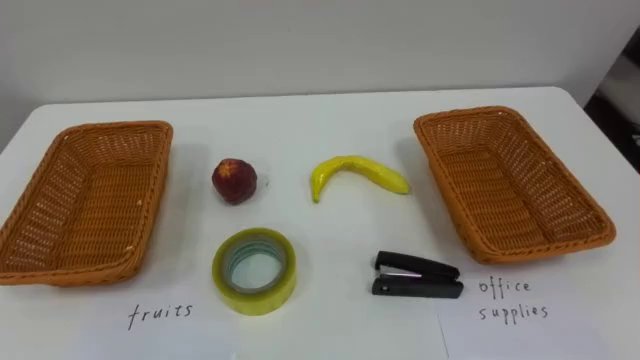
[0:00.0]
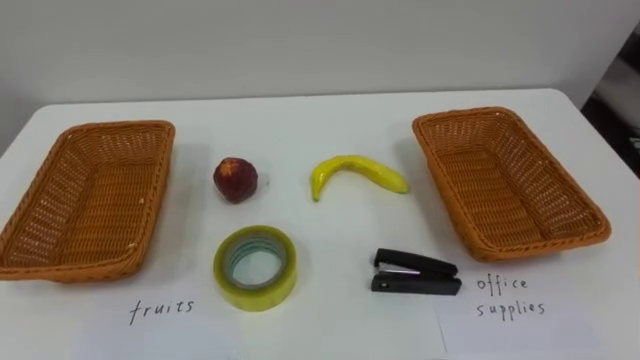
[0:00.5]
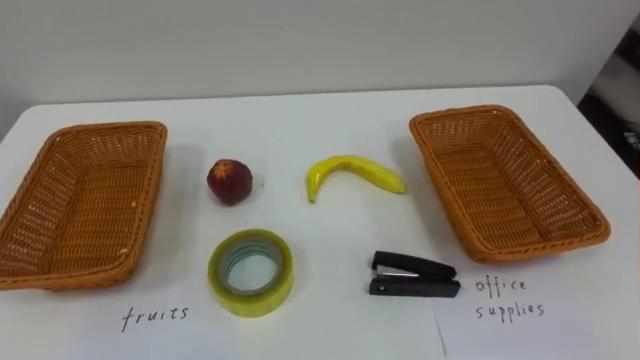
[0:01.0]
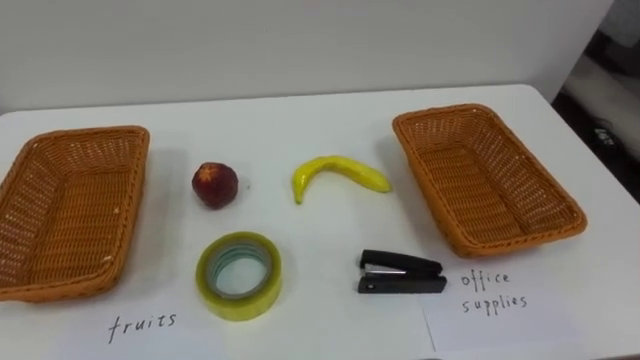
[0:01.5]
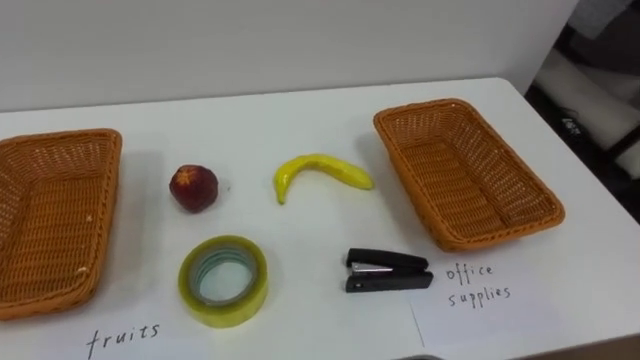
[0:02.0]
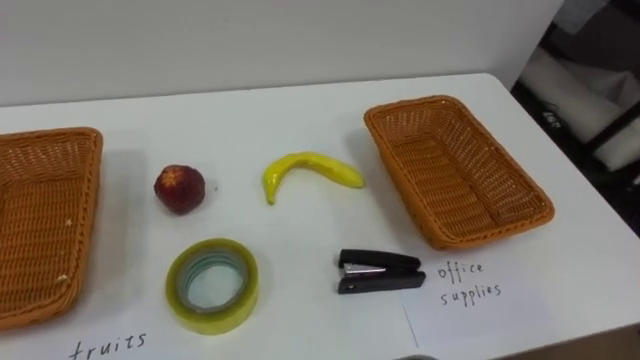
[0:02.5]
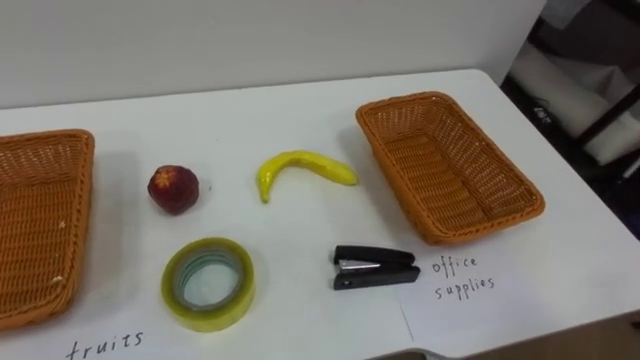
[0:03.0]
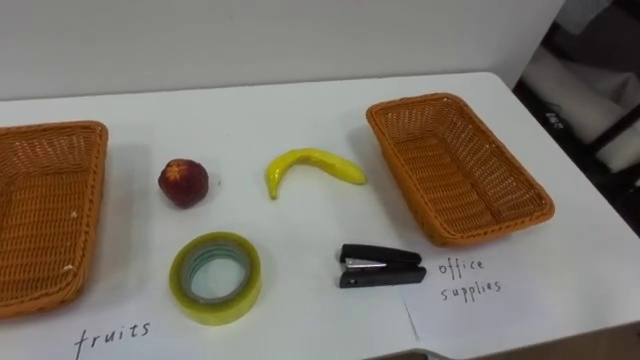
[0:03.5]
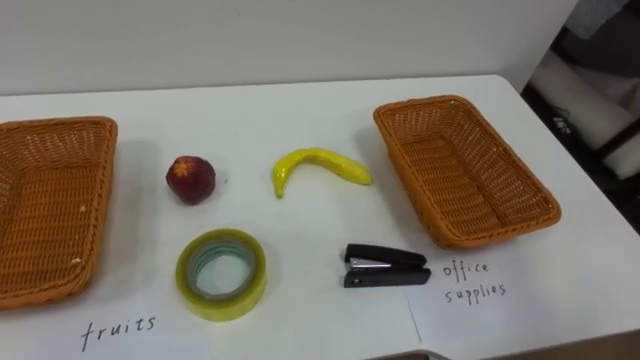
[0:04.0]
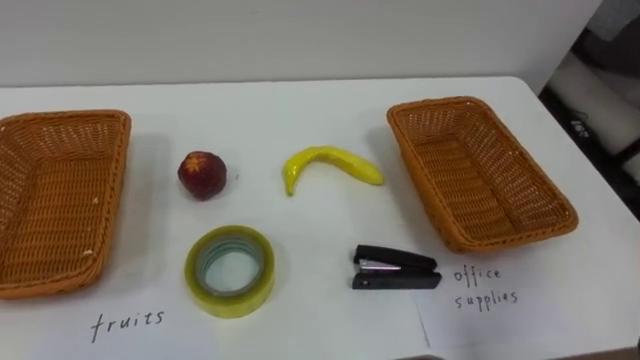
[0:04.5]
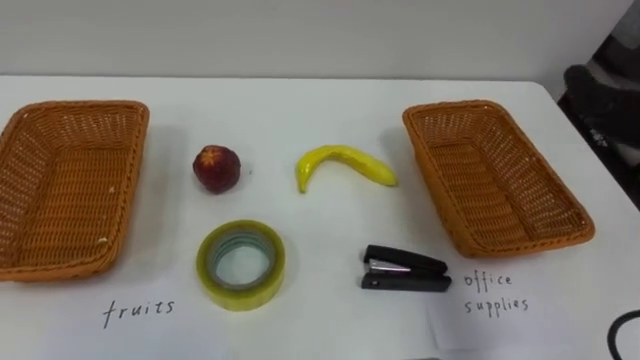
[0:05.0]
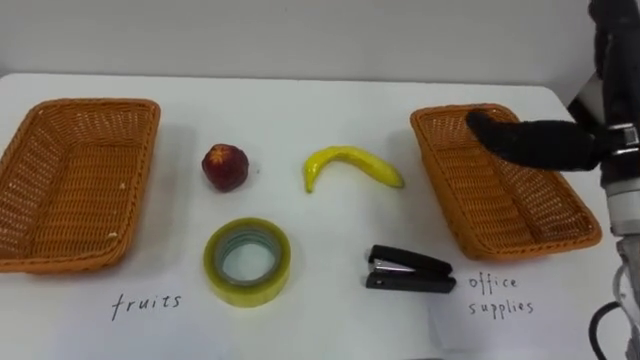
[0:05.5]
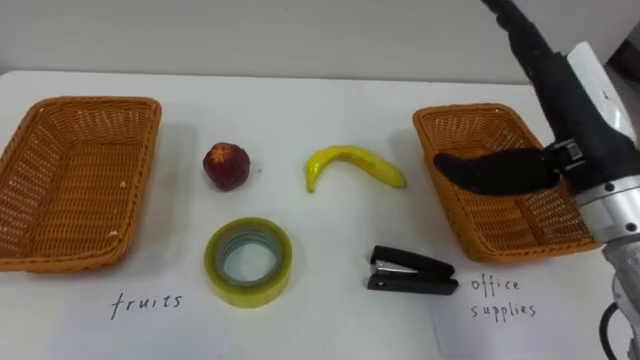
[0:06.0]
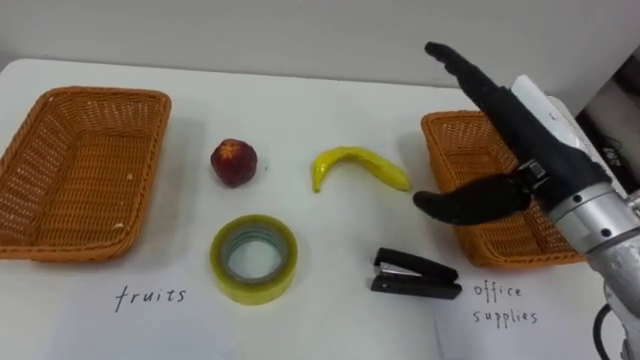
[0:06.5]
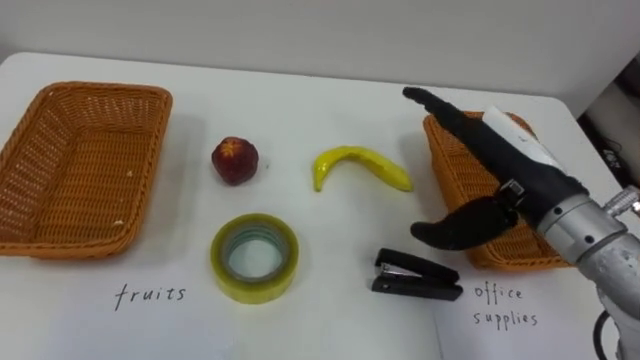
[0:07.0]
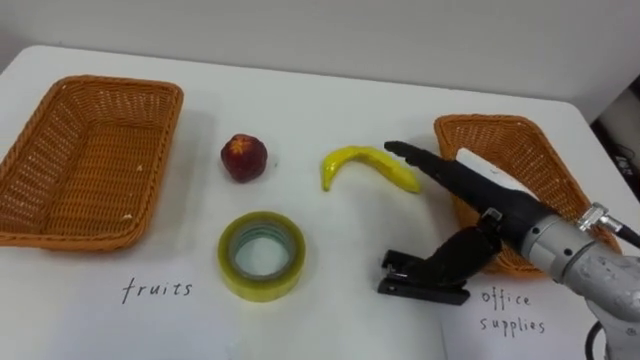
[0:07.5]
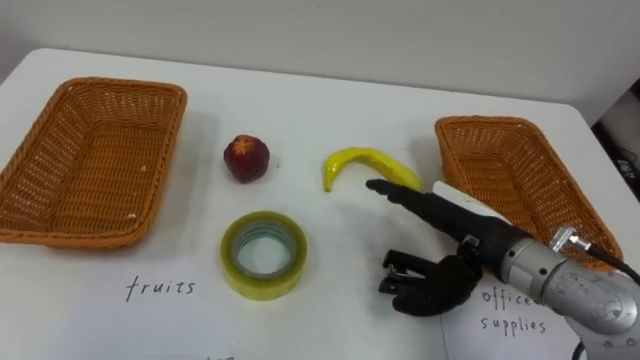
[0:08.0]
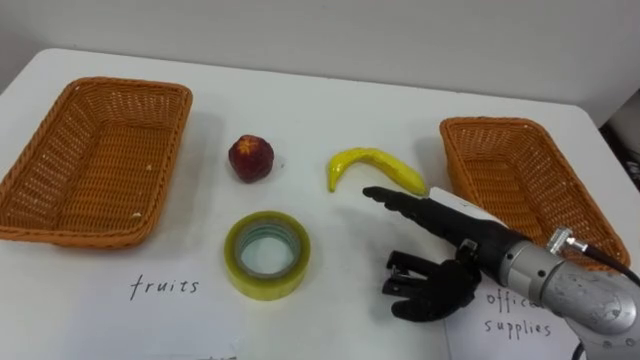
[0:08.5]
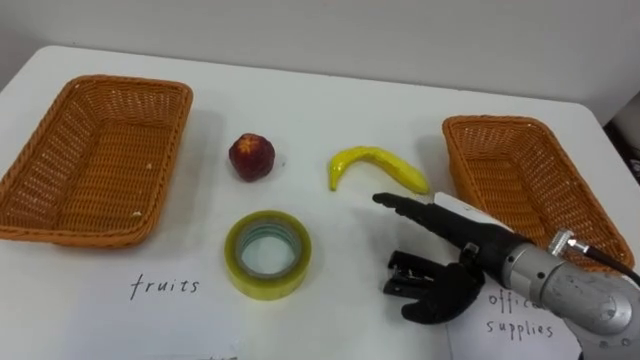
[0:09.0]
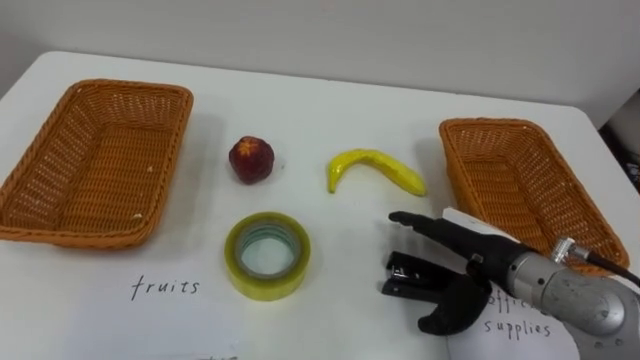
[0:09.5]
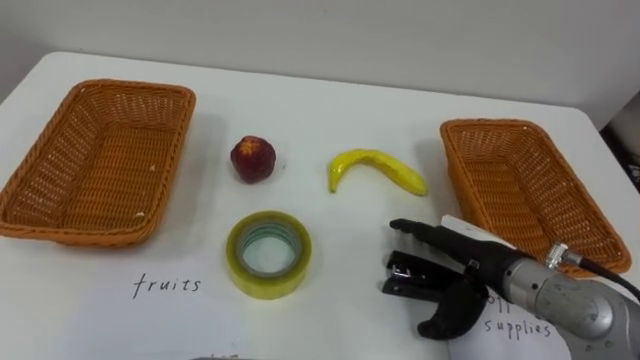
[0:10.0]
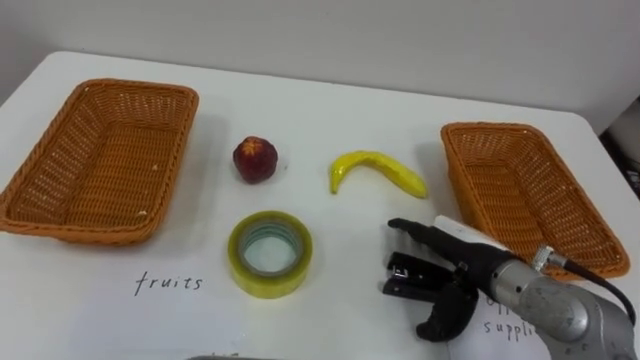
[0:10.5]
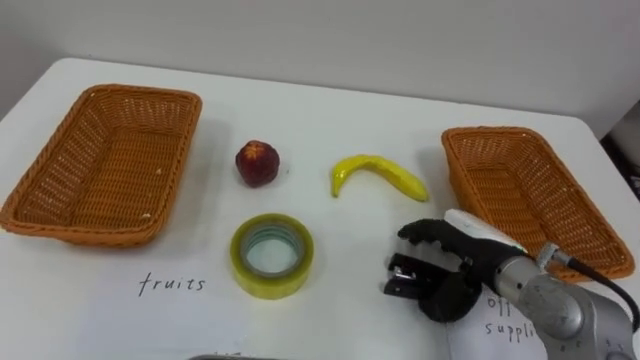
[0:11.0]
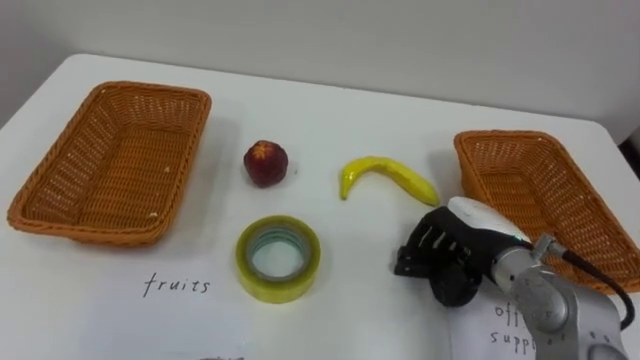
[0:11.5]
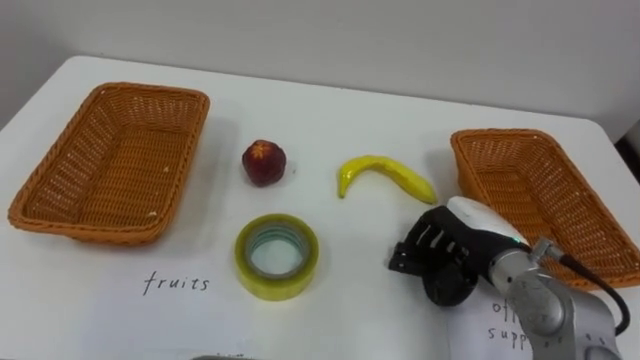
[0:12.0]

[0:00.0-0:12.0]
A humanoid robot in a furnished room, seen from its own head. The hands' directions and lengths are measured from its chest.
Task of the whole recording: Separate the items on the table and place them into the two baskets.
0:06.0 to 0:08.0: The right hand shifts about 15 cm downward and to the left.
0:08.0 to 0:10.0: The right hand travels downward by roughly 5 cm.
0:10.0 to 0:12.0: The right hand closes up.

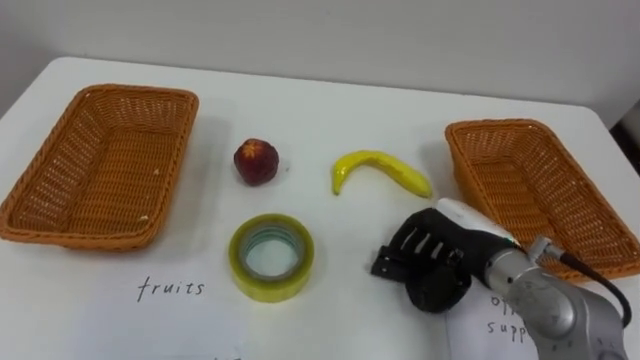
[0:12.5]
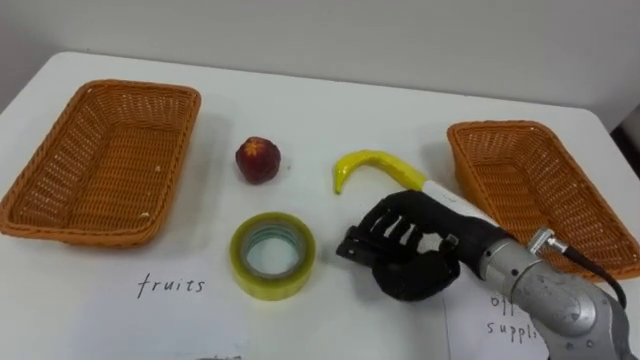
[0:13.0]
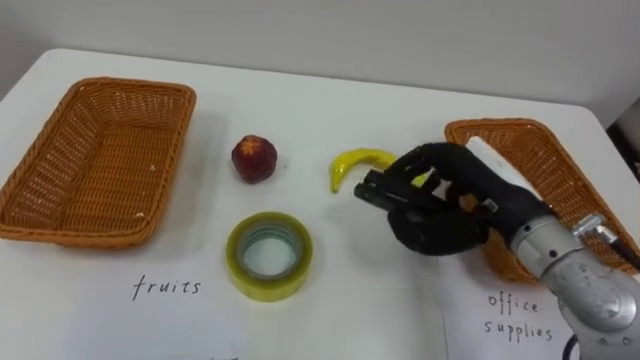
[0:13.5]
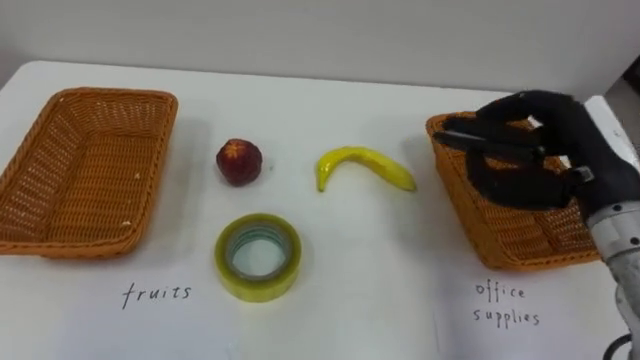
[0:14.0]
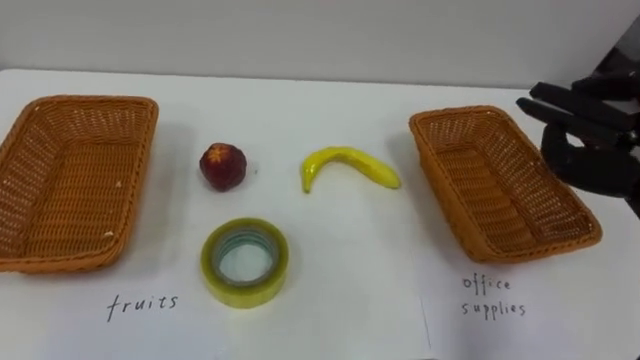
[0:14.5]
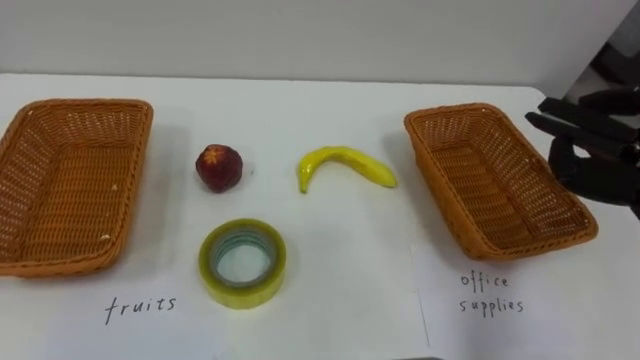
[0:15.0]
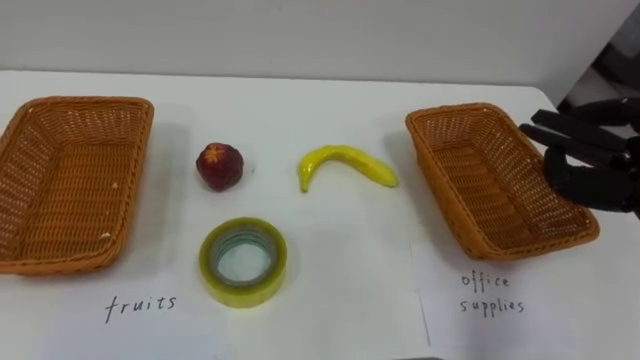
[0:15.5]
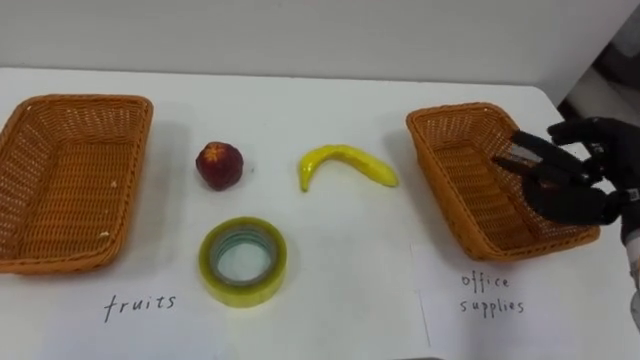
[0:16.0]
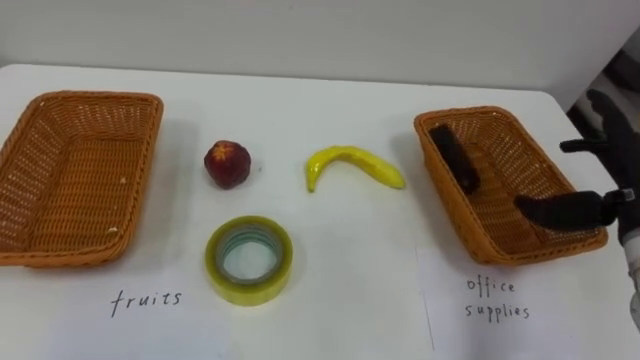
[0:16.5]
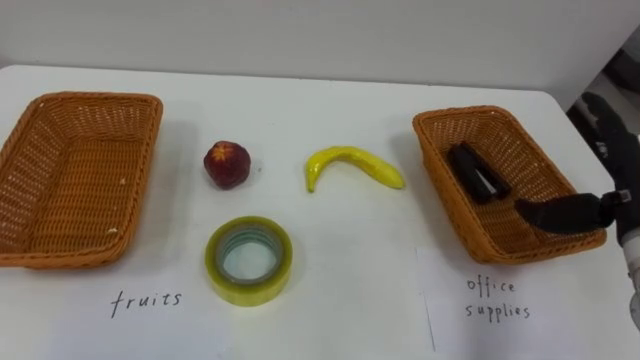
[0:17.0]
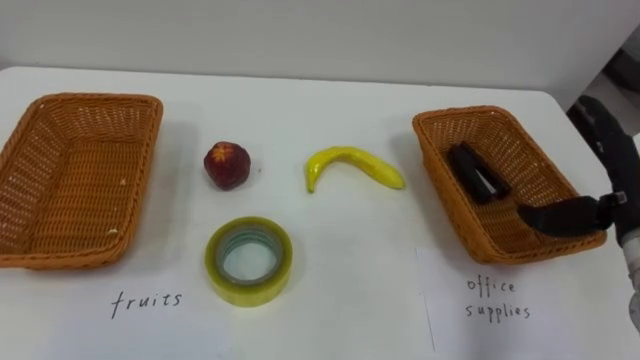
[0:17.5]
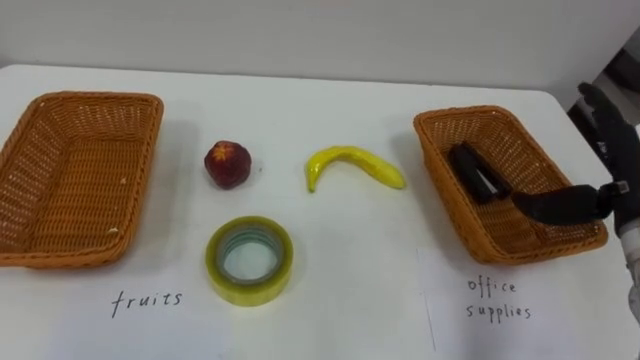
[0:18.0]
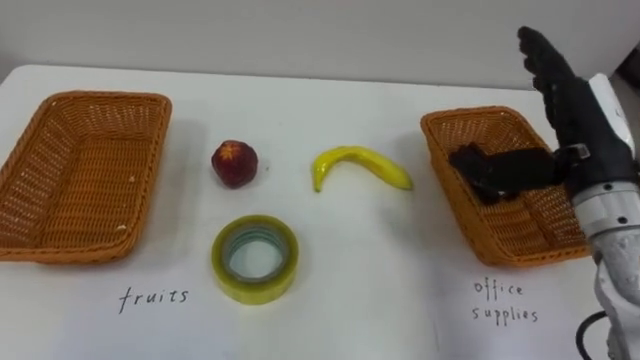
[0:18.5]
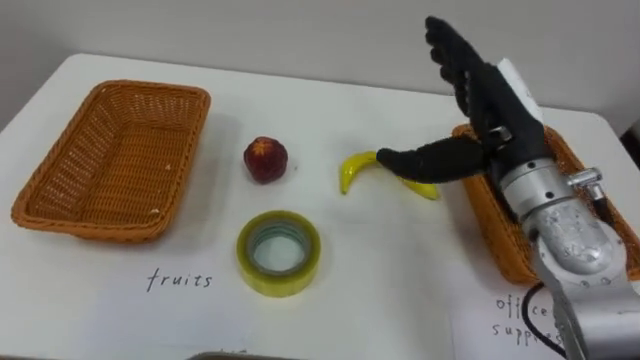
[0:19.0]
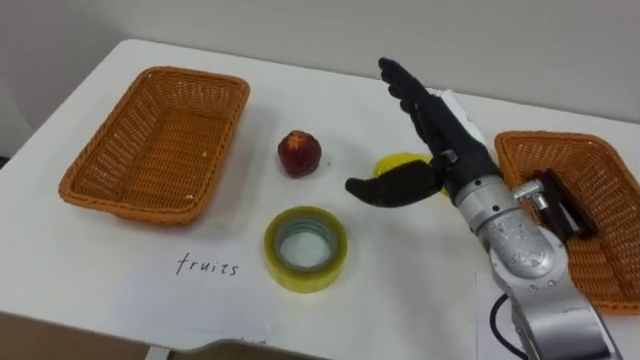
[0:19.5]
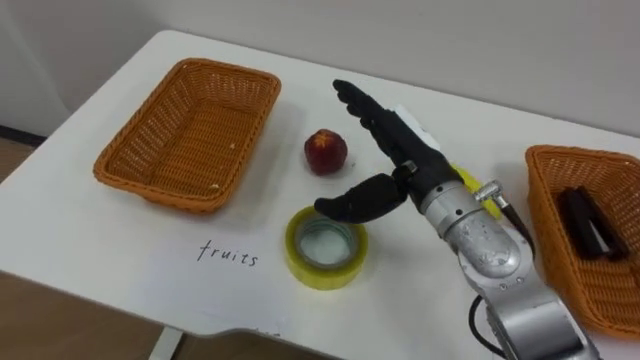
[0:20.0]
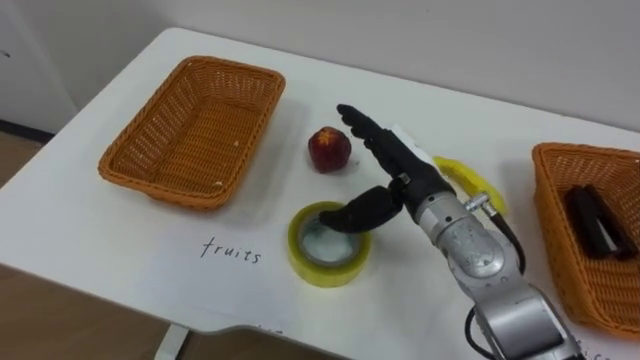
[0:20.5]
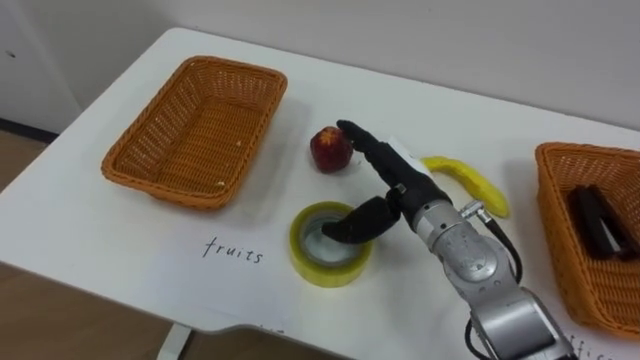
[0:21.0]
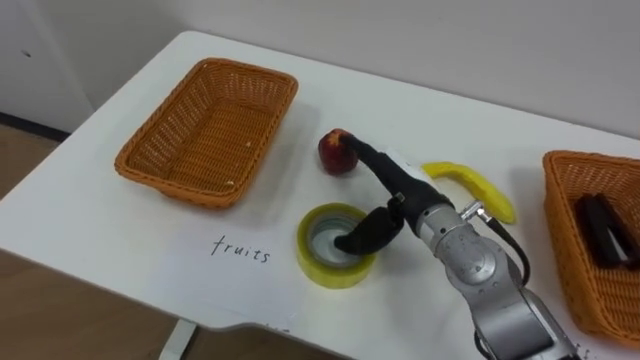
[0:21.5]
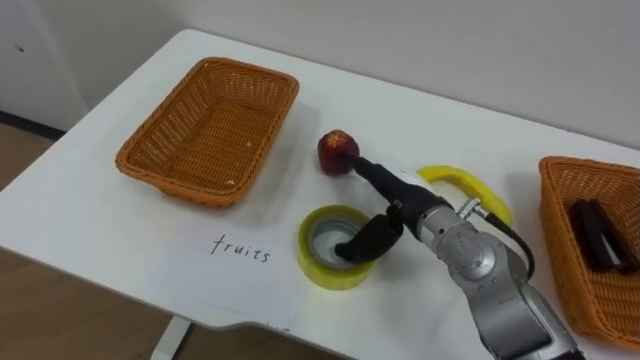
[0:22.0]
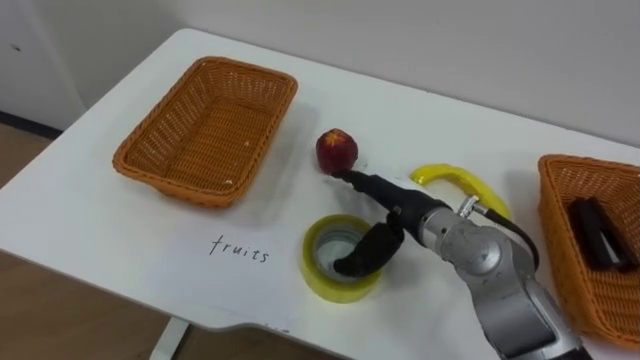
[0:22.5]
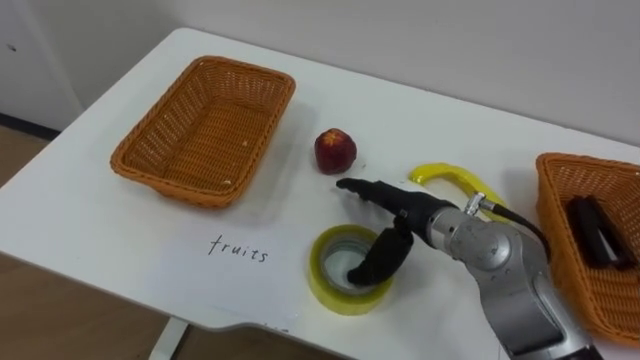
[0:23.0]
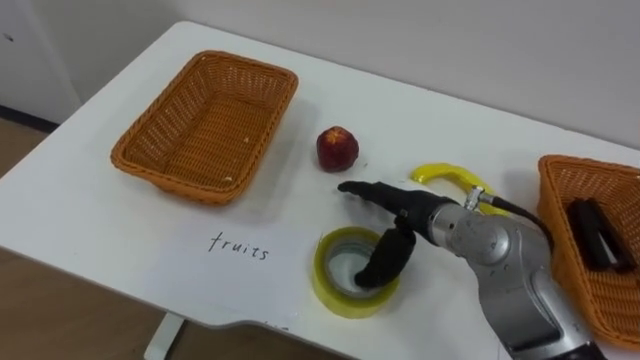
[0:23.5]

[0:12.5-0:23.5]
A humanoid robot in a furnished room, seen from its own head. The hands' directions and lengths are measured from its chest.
Task of the whole recording: Separate the items on the table and place them into the two baskets.
0:16.0 to 0:18.0: The right hand opens its fingers.
0:18.0 to 0:20.0: The right hand goes approximately 20 cm to the left.
0:20.0 to 0:21.5: The right hand moves downward, approximately 5 cm.
